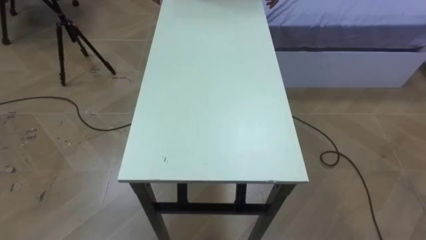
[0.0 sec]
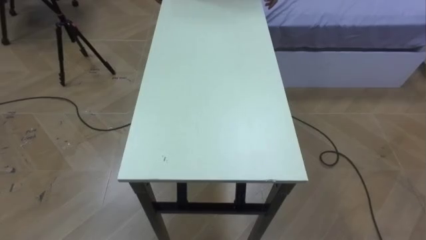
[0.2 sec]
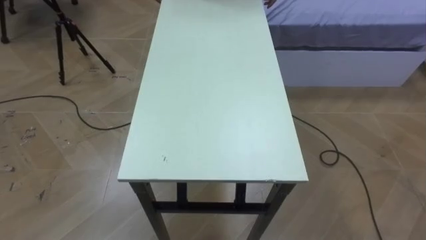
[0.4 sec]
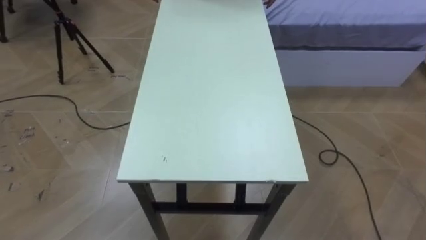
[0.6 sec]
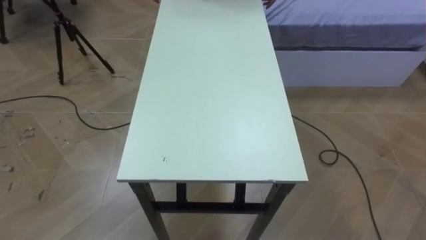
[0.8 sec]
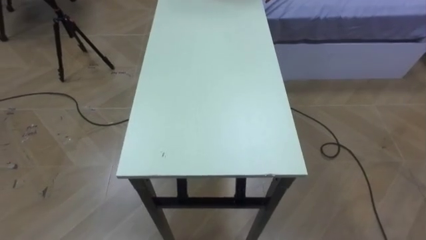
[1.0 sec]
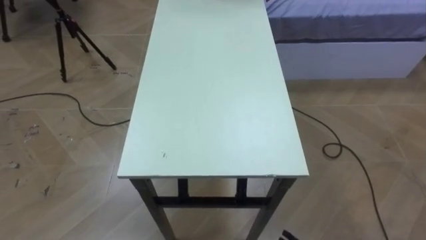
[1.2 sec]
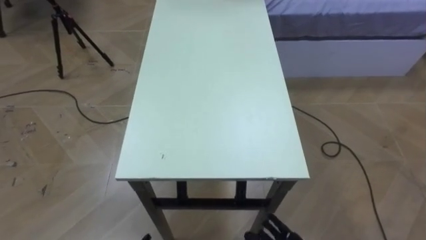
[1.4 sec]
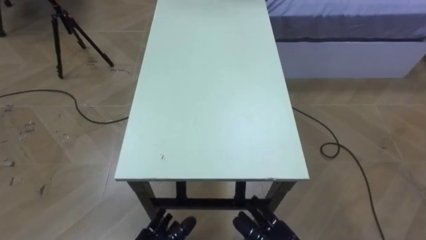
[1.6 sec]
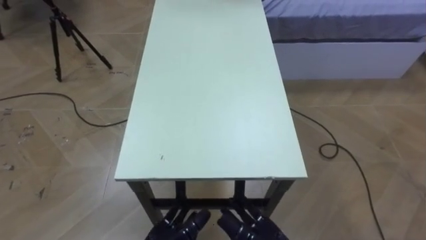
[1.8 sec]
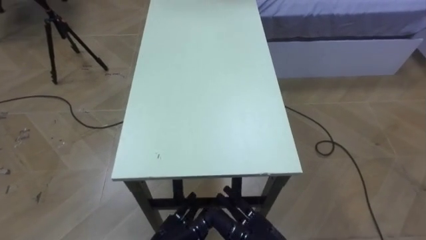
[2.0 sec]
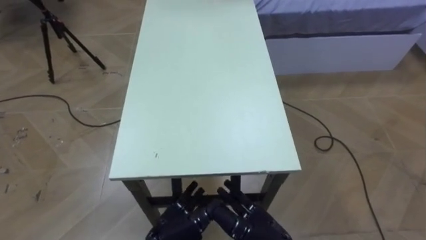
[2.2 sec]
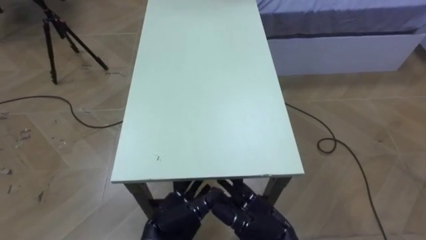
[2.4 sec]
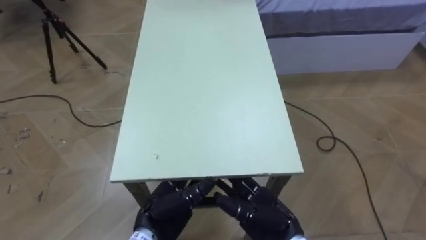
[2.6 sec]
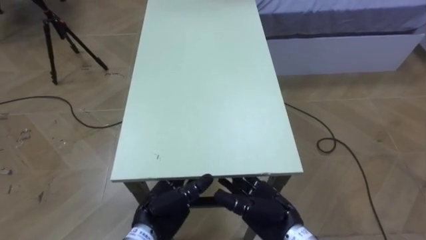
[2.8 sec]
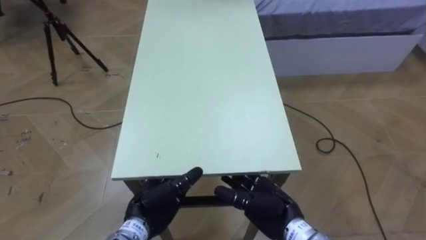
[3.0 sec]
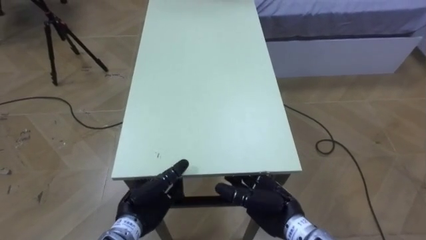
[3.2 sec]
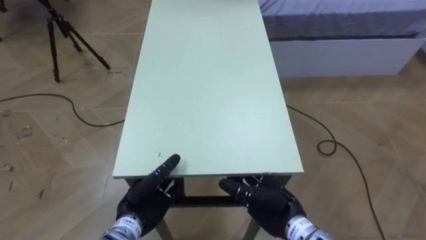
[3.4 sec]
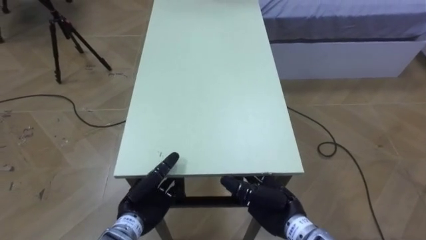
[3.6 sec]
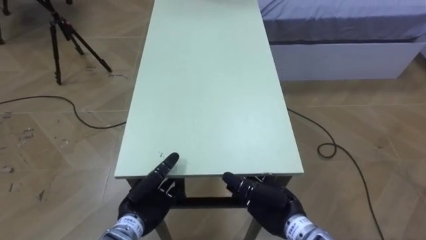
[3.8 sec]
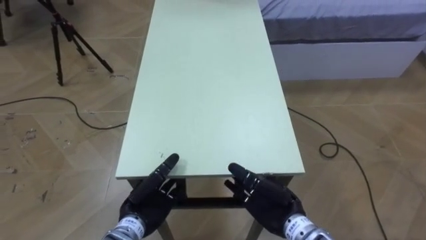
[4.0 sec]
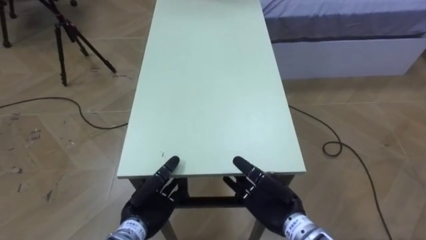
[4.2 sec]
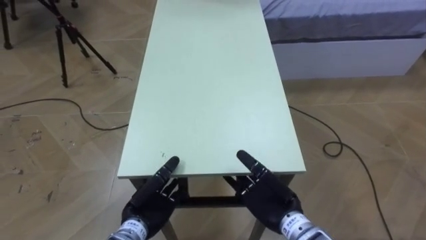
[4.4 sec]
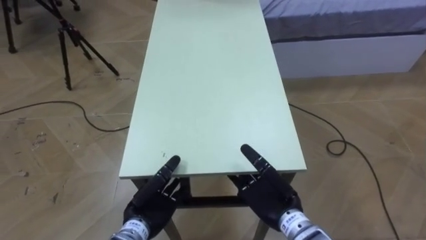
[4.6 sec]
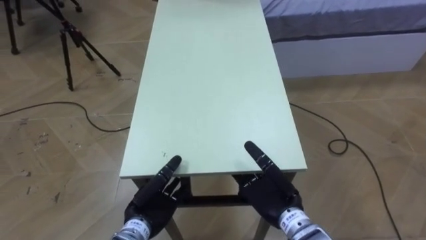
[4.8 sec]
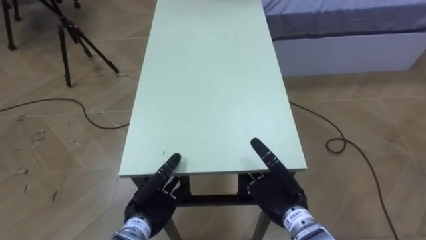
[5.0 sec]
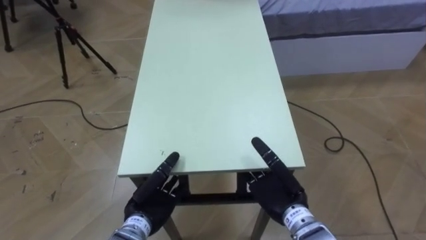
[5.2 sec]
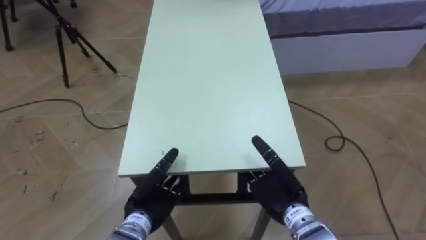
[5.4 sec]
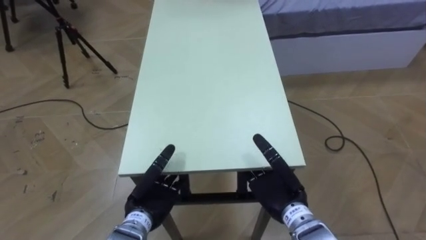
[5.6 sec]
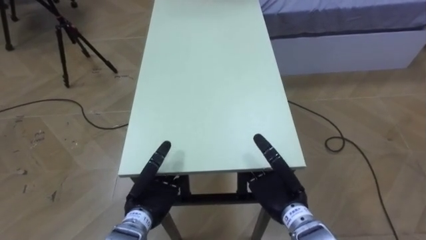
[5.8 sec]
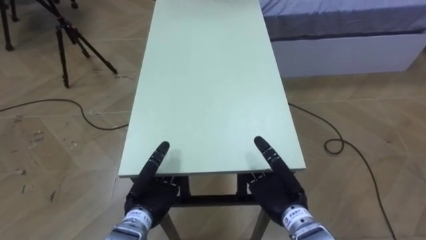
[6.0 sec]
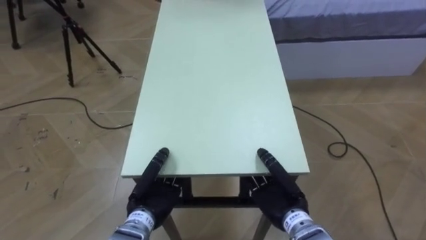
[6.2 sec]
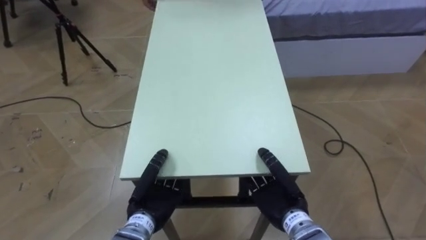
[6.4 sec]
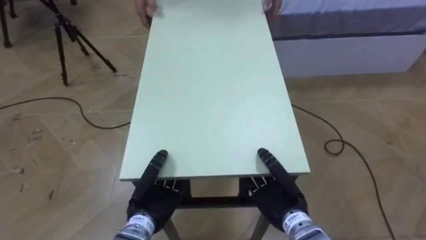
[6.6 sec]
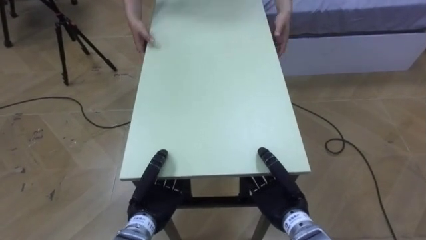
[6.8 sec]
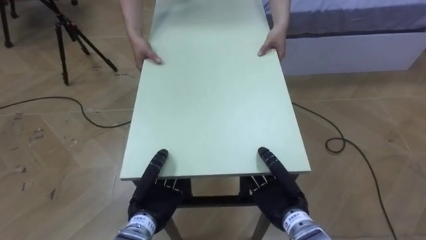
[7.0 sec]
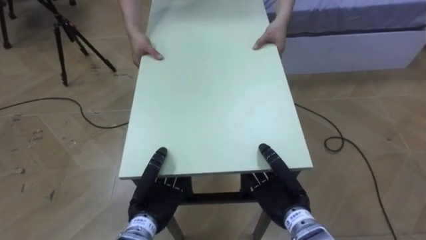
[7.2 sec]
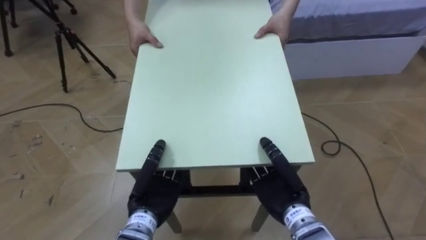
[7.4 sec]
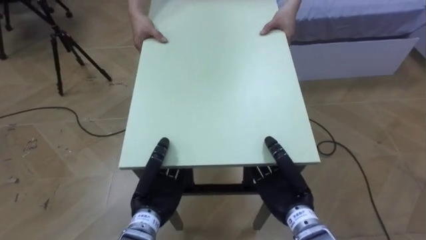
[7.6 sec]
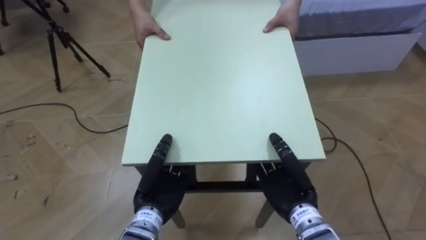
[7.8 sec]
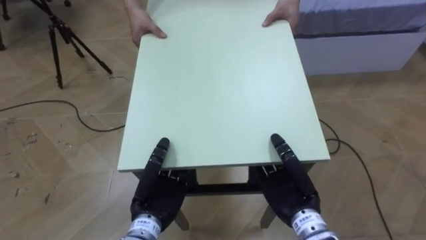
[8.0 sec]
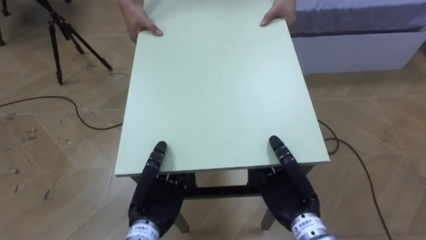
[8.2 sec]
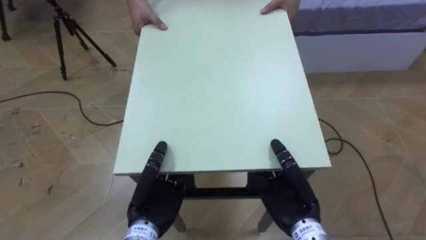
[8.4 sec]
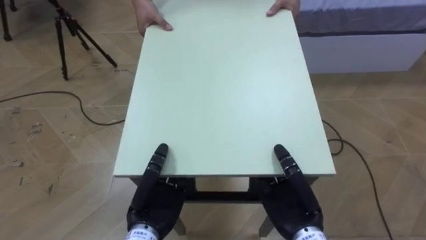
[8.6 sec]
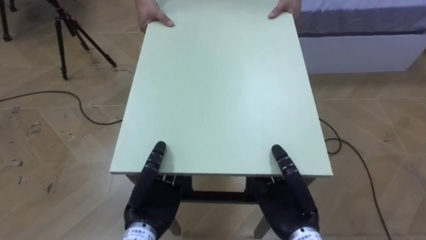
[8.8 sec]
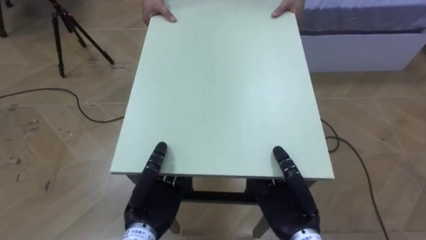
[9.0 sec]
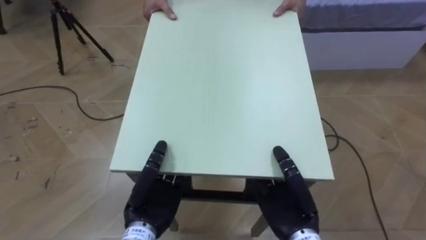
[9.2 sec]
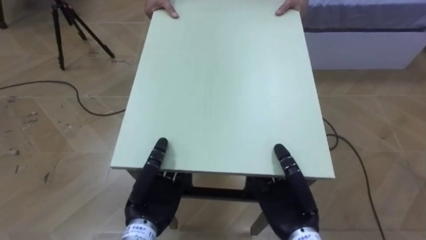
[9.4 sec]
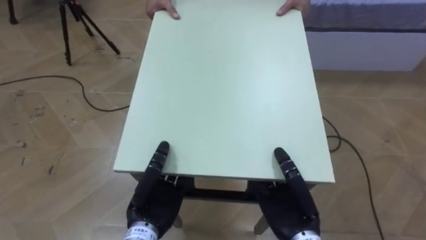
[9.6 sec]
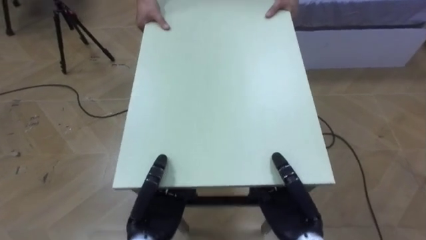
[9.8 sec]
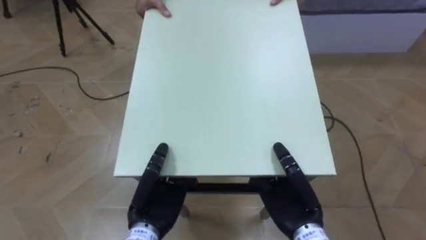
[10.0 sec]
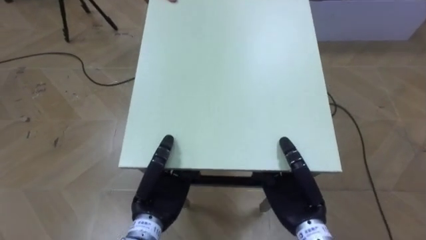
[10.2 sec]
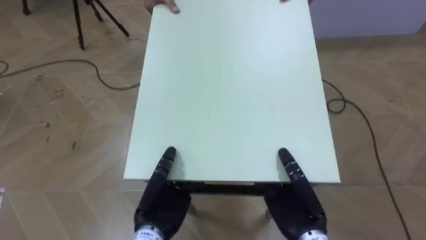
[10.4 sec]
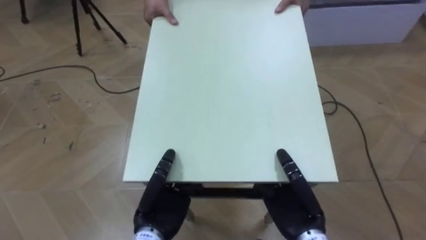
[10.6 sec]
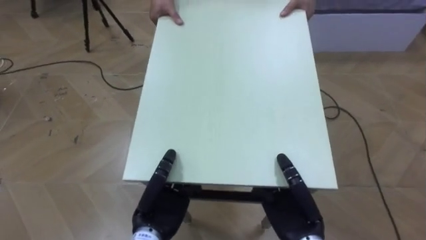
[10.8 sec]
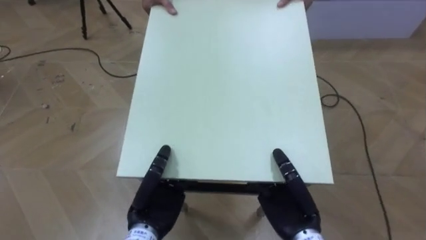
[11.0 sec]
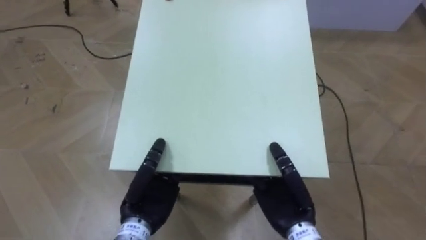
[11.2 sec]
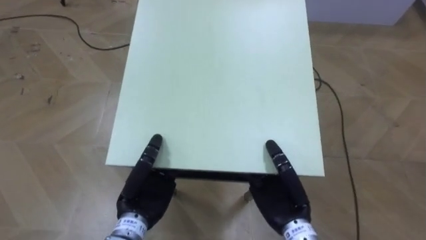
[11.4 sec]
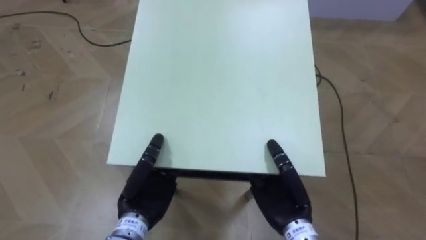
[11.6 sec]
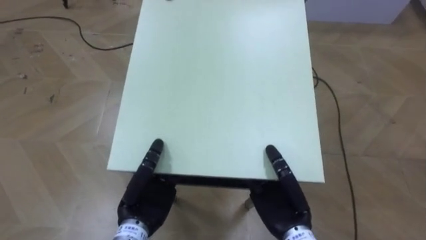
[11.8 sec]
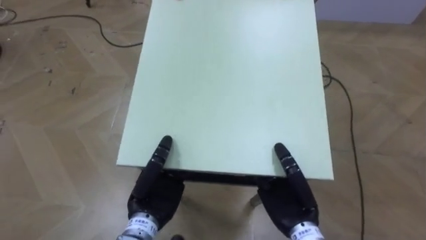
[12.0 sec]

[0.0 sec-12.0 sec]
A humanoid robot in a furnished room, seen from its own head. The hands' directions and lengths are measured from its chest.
Task of the whole recording: Move the table to the back left with someone.
6.0 sec to 7.6 sec: The left hand closes.

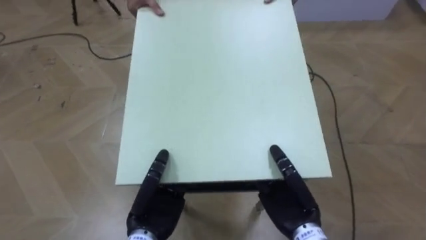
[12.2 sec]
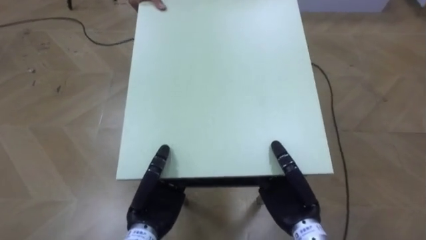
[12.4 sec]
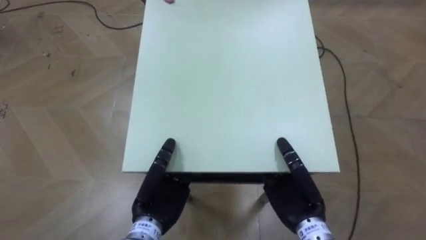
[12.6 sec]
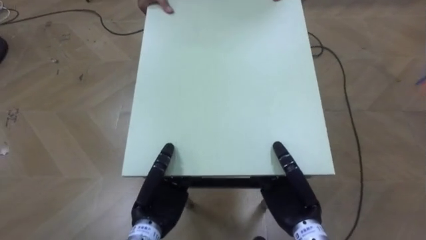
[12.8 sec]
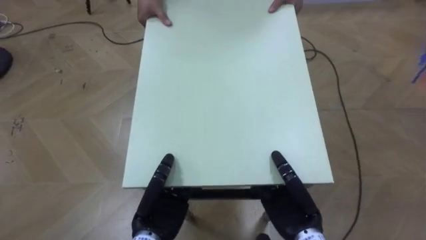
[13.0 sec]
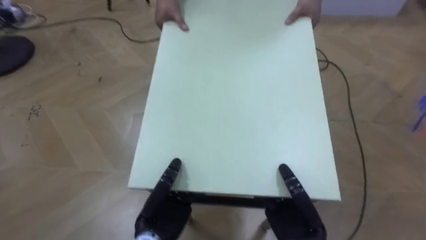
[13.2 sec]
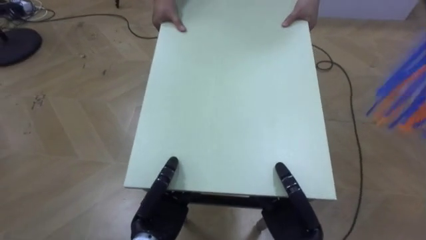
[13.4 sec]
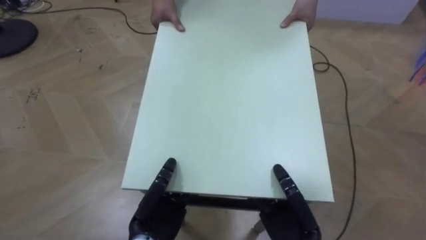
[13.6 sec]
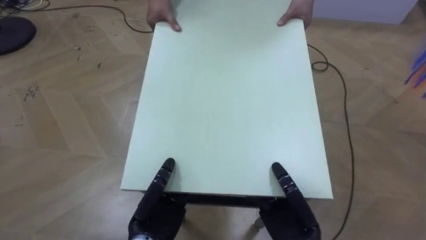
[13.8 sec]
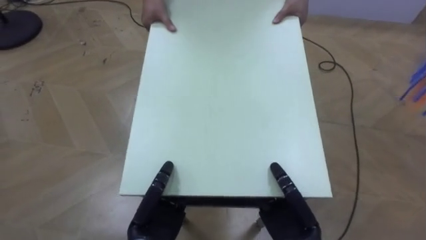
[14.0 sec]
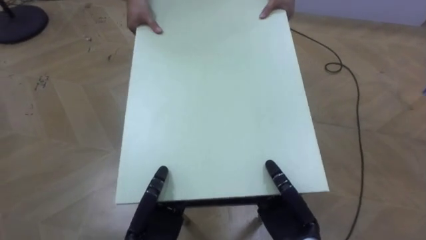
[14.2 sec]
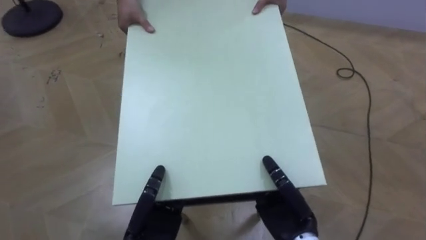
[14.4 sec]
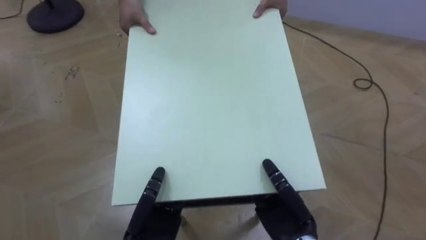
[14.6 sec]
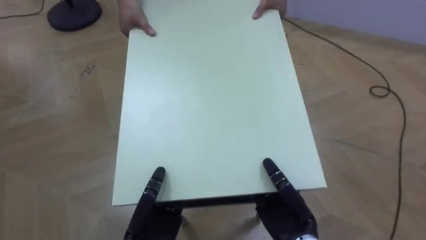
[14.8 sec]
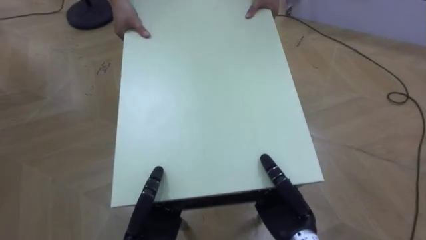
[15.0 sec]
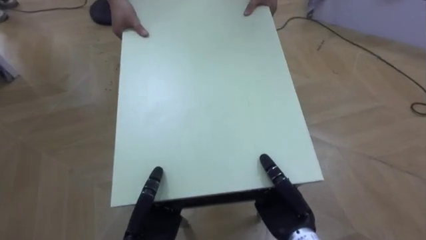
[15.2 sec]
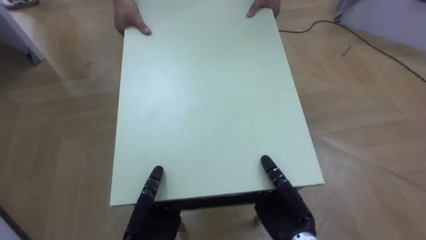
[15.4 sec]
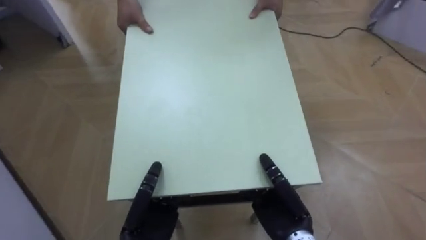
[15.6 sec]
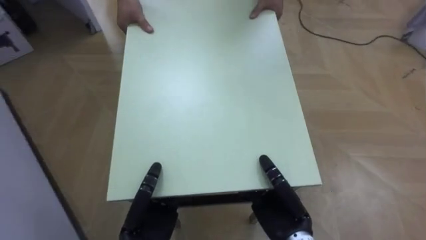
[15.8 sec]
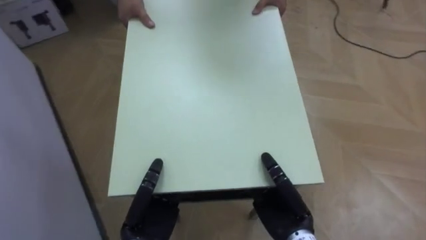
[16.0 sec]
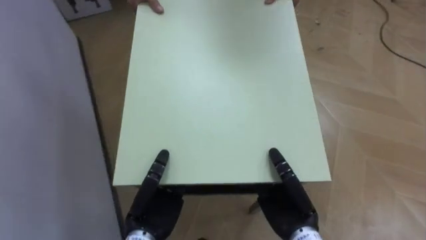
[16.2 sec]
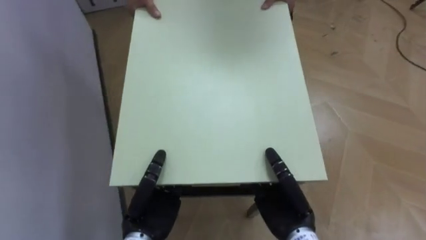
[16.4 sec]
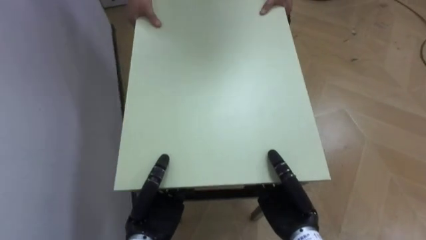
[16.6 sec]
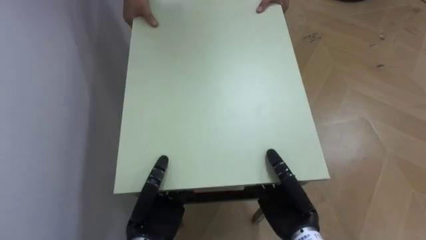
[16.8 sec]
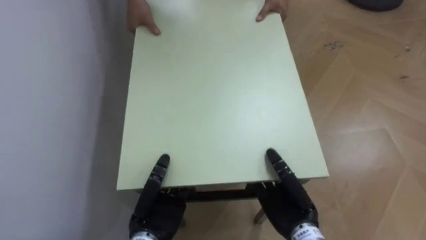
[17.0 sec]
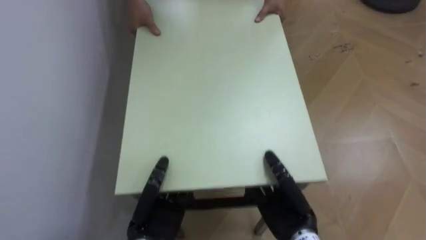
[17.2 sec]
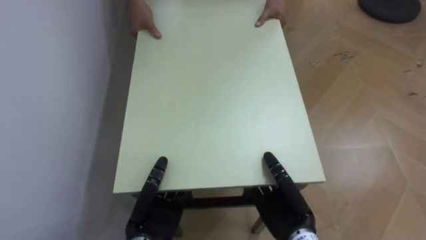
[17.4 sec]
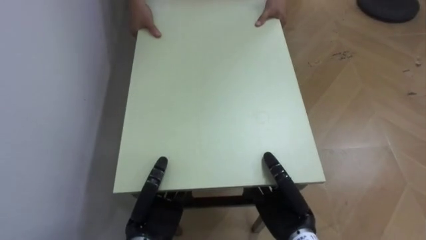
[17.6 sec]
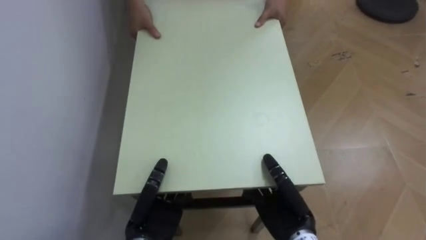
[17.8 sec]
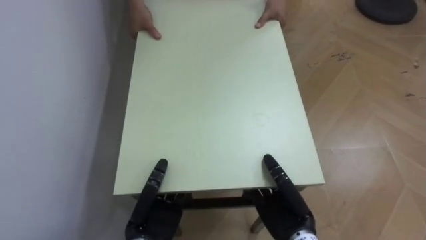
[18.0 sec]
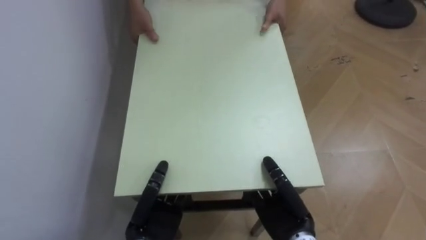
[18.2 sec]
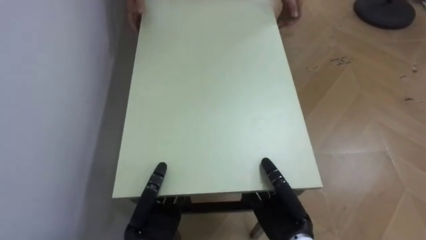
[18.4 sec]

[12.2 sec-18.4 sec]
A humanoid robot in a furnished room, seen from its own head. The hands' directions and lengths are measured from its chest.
Task of the whole recording: Move the table to the back left with someone.
13.8 sec to 15.4 sec: The robot faces some 30 degrees further to its left.
15.4 sec to 16.8 sec: The robot rotates about 40 degrees to its left.
